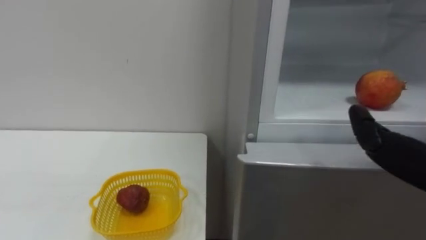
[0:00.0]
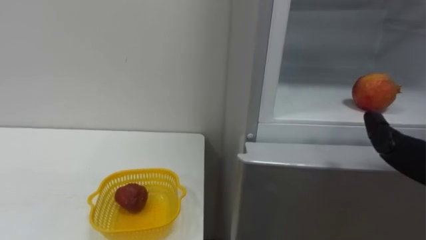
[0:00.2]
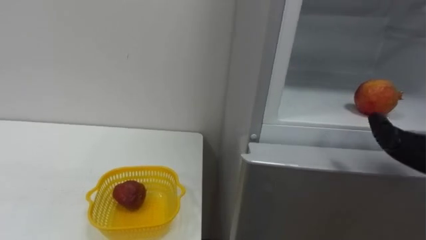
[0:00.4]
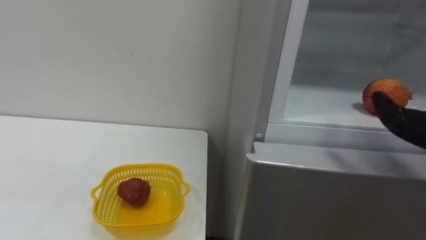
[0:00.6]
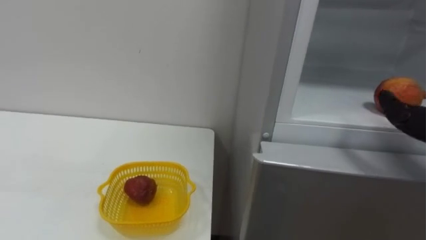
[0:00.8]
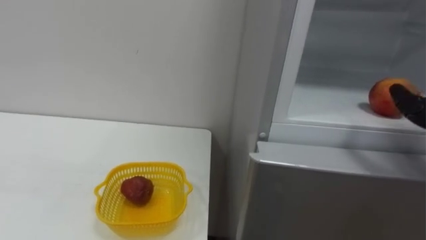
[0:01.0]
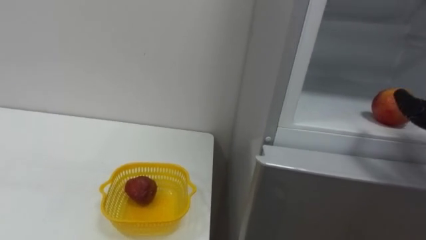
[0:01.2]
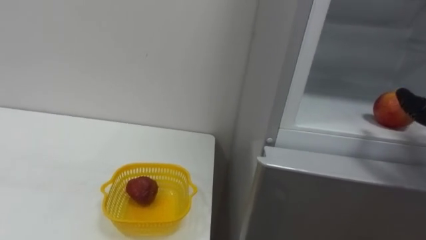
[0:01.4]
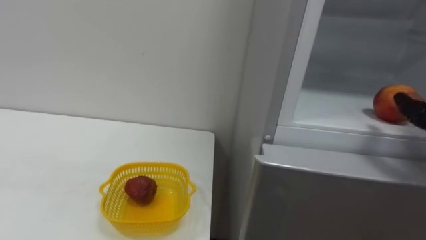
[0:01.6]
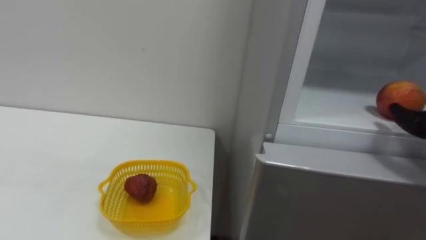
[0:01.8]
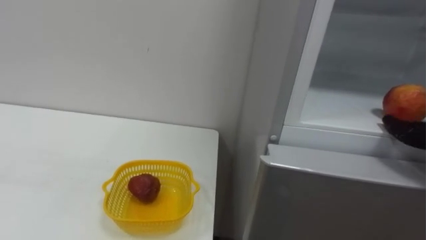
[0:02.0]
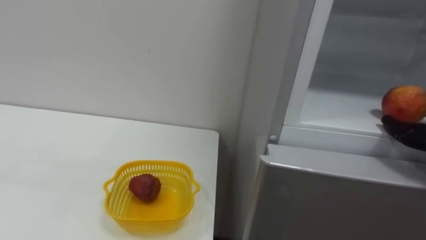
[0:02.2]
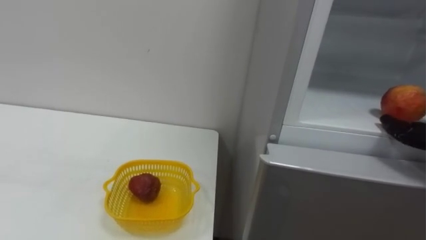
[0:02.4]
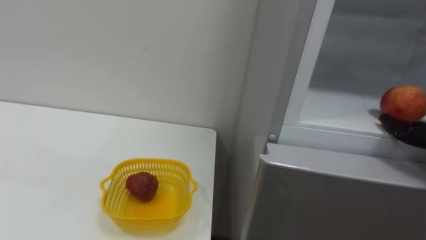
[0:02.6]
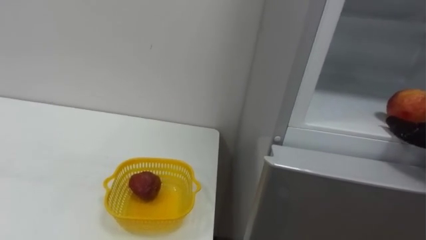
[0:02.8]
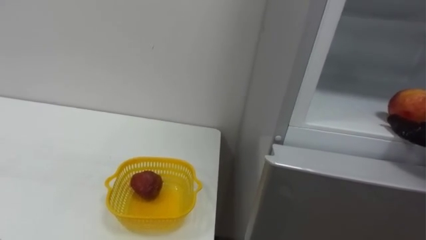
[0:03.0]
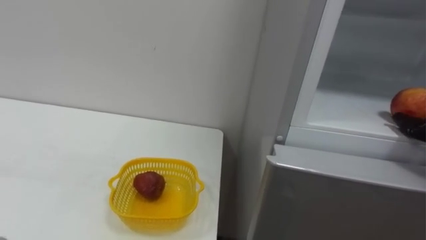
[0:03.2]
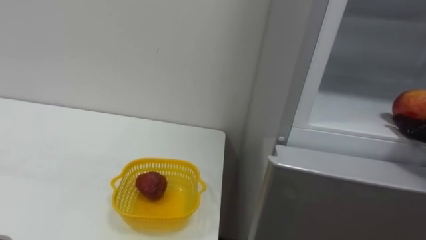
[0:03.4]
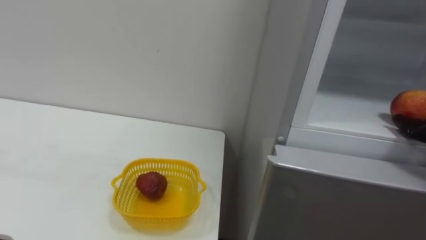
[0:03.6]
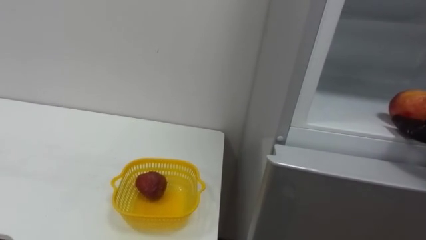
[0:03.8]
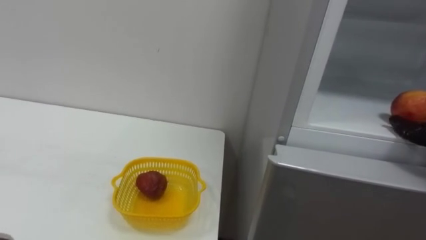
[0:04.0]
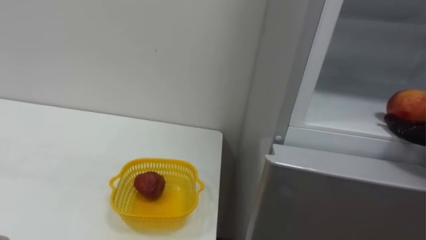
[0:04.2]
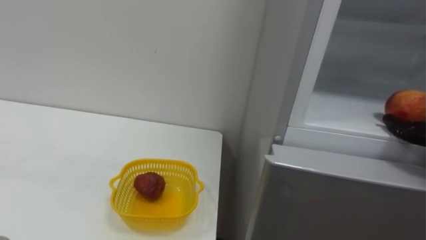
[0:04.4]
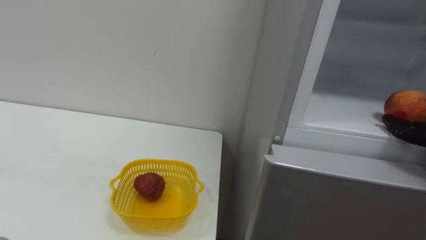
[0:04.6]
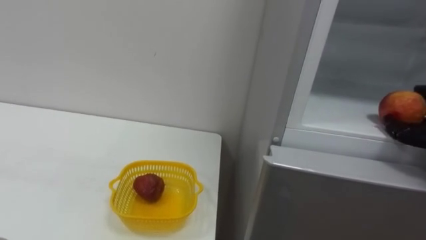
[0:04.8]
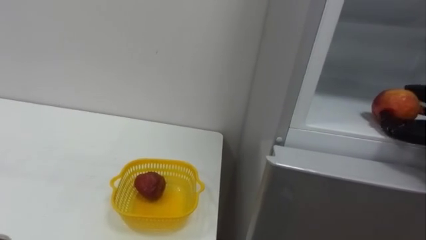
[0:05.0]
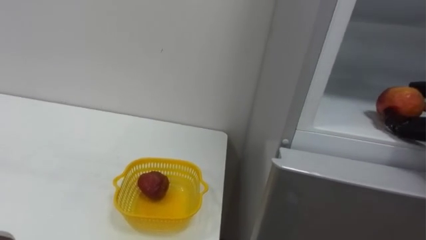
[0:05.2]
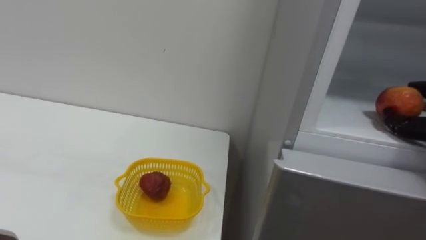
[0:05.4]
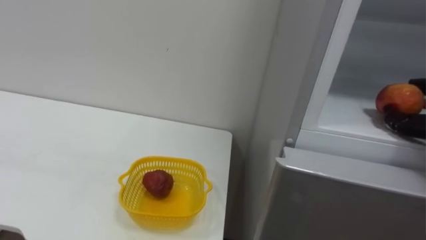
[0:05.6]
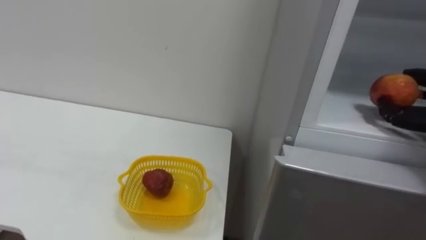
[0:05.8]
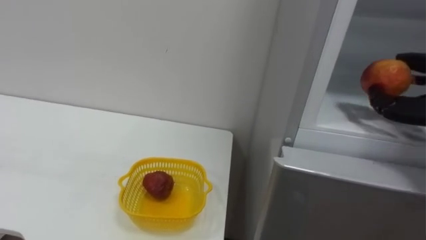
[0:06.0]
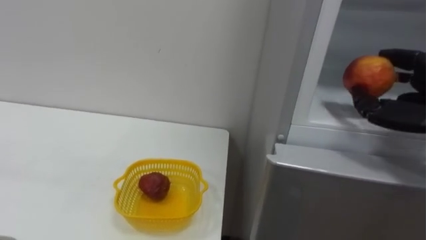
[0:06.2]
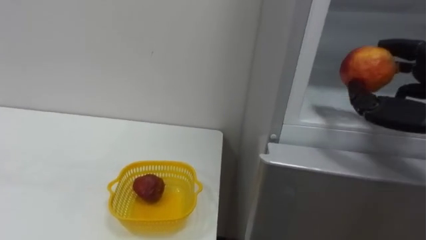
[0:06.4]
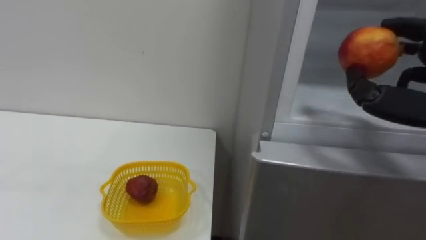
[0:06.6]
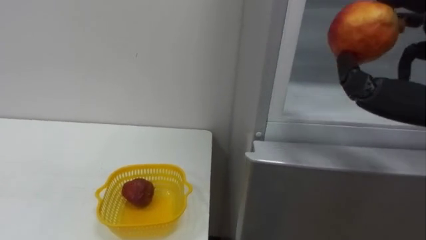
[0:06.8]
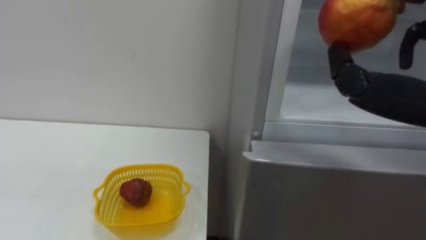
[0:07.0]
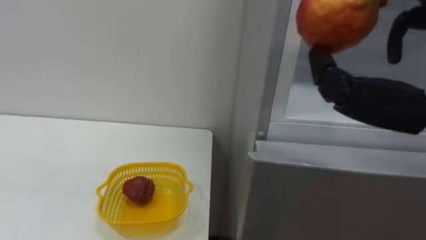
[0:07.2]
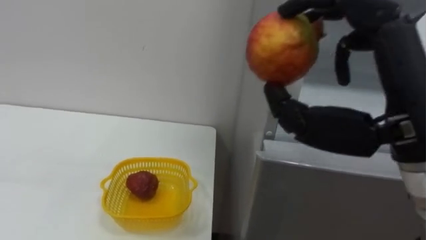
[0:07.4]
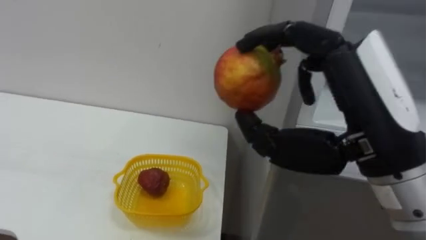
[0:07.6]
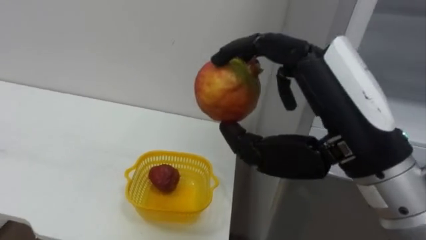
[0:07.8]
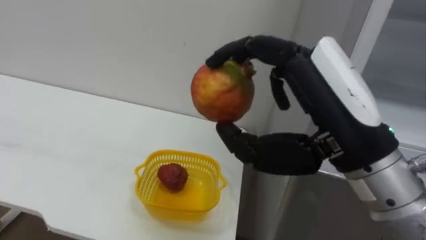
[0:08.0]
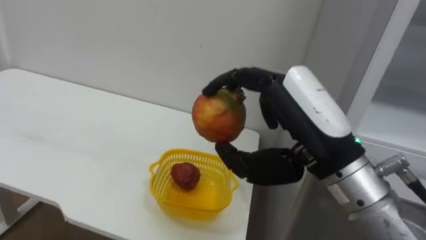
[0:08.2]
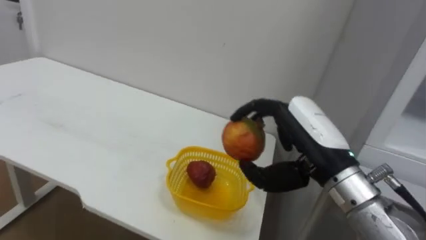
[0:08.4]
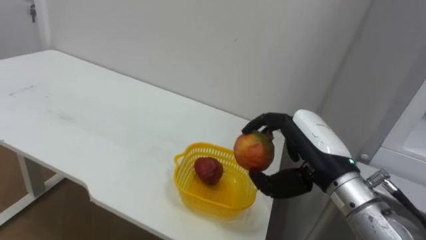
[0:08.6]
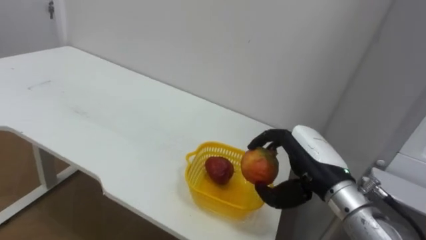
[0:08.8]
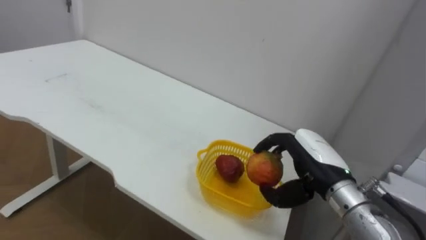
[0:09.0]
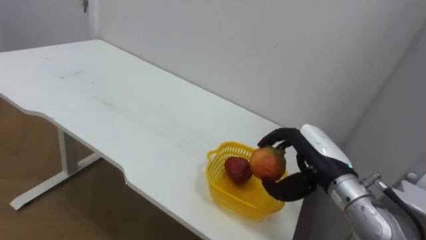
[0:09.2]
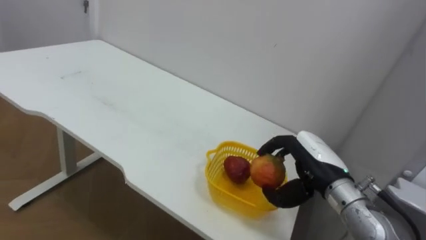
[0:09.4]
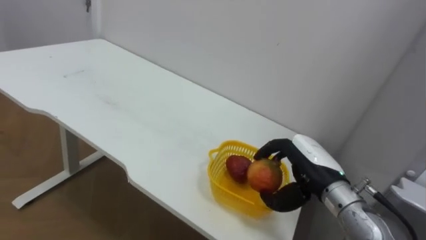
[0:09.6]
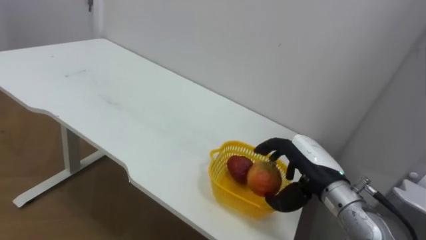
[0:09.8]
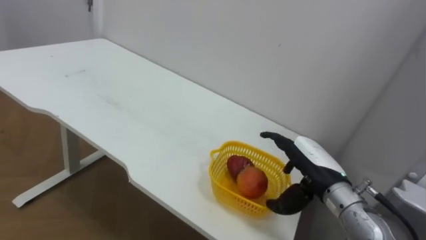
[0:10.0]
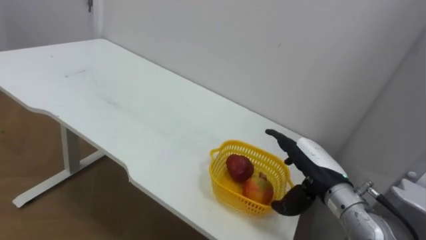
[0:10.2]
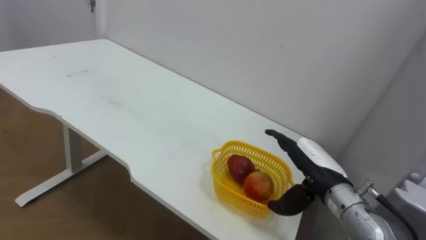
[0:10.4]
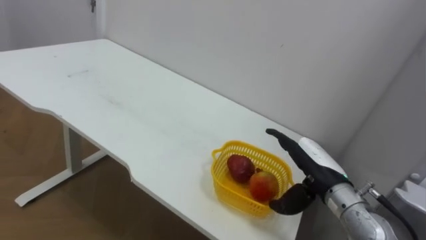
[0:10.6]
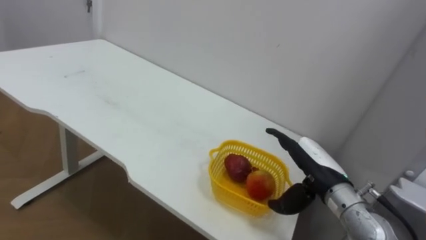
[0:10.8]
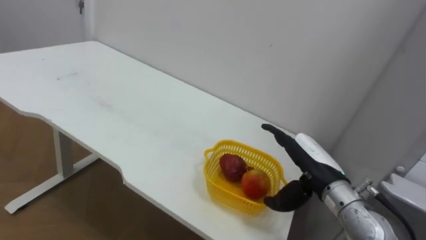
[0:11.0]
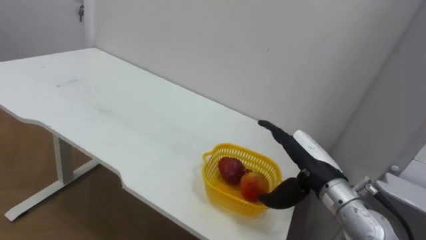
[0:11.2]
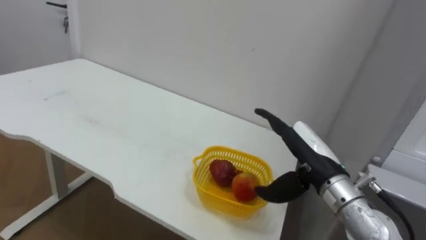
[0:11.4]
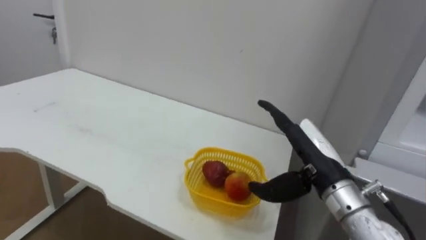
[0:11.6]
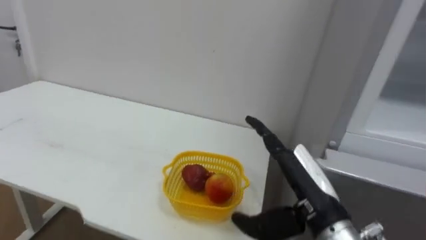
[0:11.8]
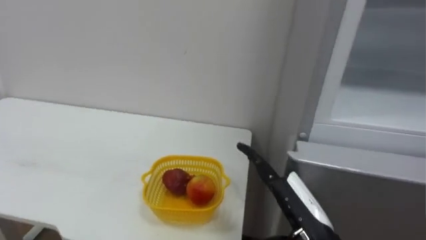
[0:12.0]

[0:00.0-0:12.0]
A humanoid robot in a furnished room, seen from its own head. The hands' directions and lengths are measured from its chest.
Task of the whole recording: Open the refrigerator door, take out the apple and the pomegranate, place them in the fruit basket on the left, and close the refrigerator door.
0:07.6 to 0:09.0: The right hand is displaced downward and forward by some 20 cm.
0:09.0 to 0:10.4: The right hand opens.
0:10.4 to 0:12.0: The right hand is displaced backward by roughly 10 cm.

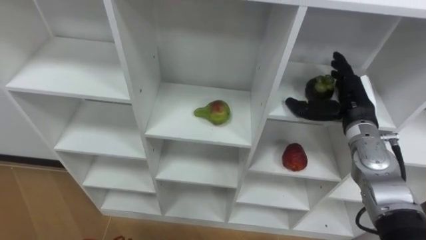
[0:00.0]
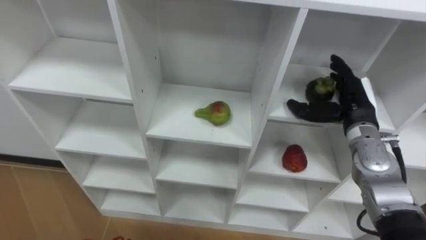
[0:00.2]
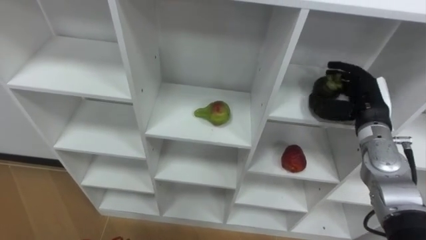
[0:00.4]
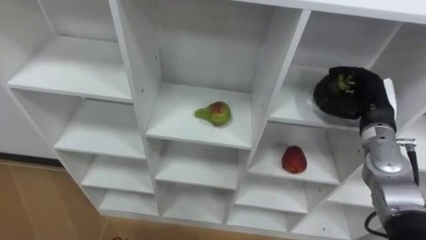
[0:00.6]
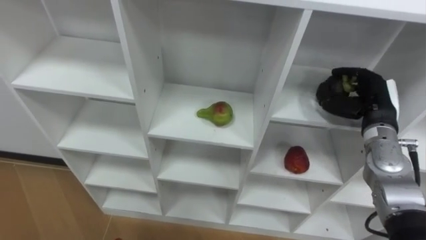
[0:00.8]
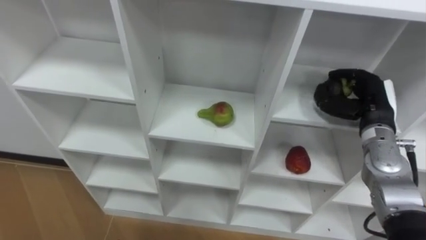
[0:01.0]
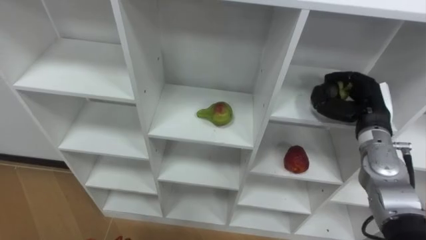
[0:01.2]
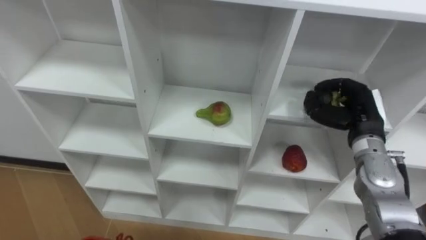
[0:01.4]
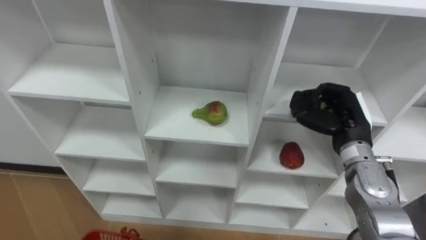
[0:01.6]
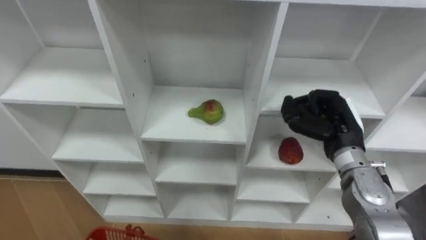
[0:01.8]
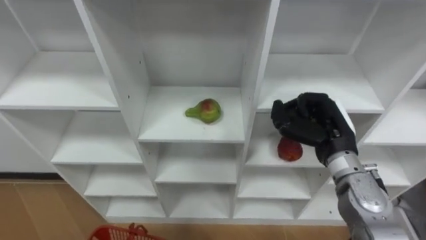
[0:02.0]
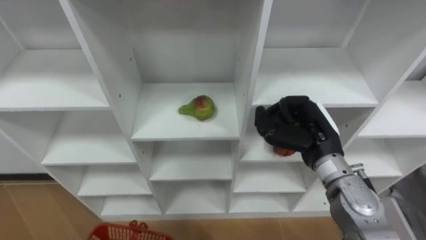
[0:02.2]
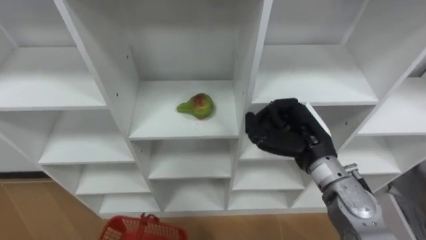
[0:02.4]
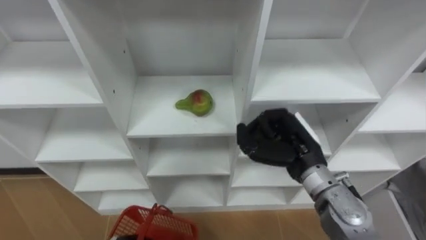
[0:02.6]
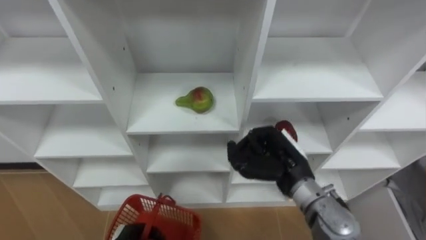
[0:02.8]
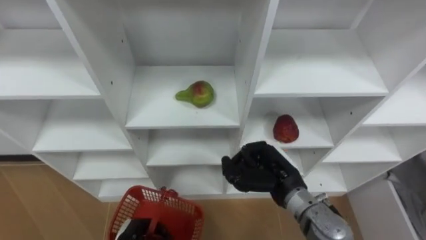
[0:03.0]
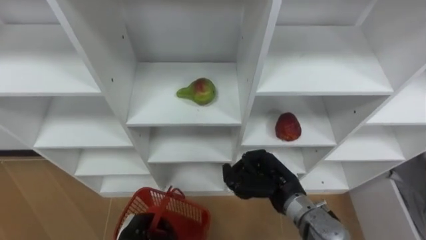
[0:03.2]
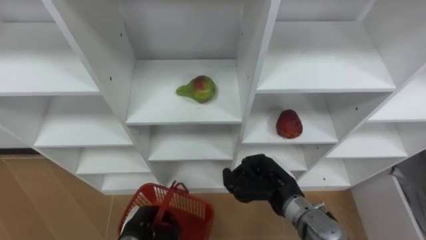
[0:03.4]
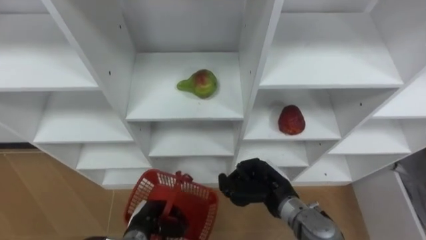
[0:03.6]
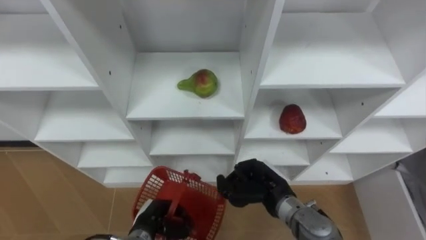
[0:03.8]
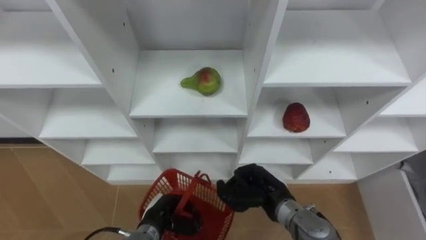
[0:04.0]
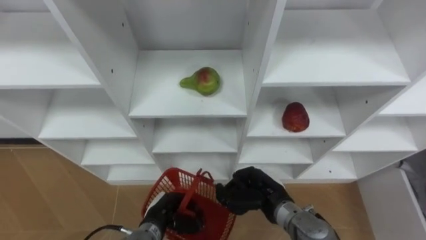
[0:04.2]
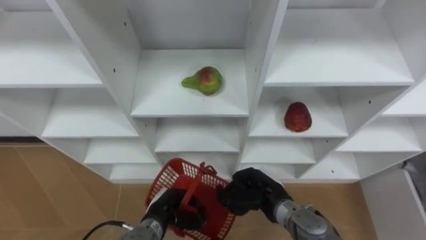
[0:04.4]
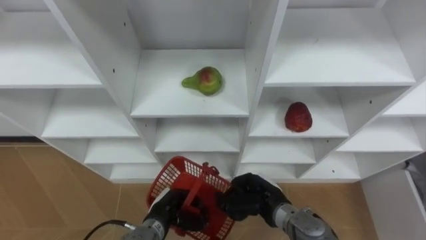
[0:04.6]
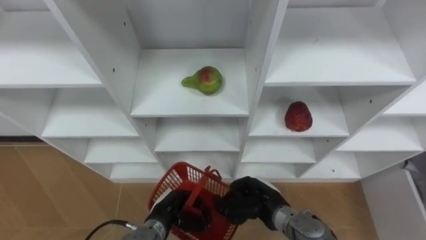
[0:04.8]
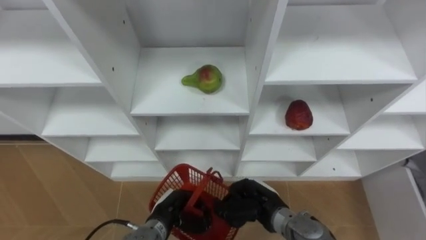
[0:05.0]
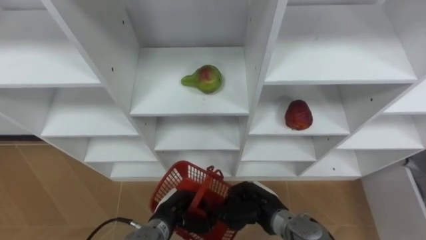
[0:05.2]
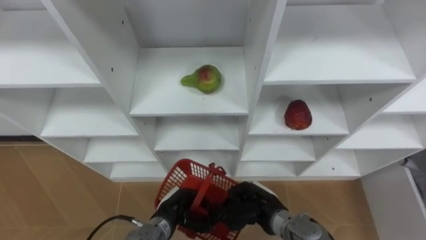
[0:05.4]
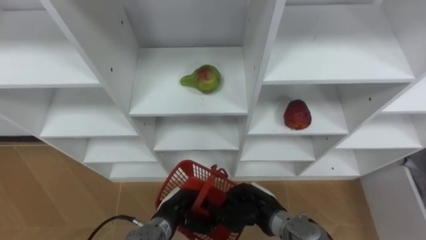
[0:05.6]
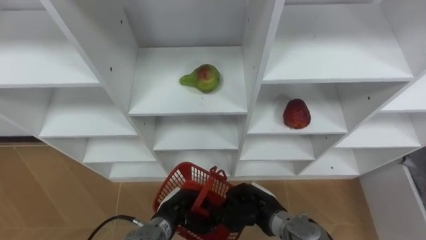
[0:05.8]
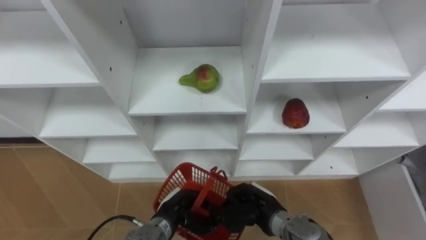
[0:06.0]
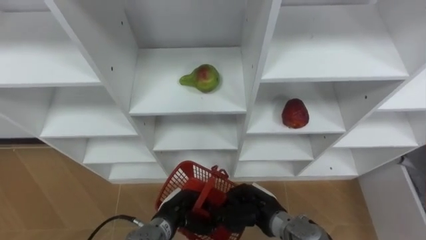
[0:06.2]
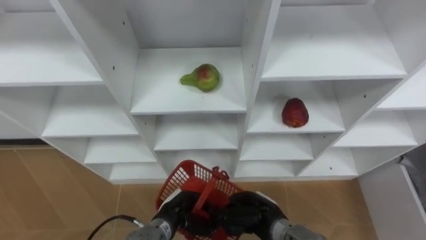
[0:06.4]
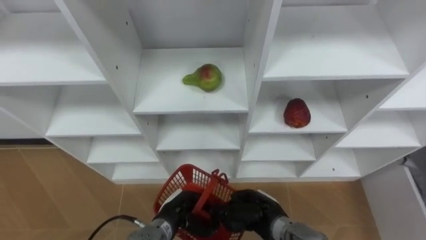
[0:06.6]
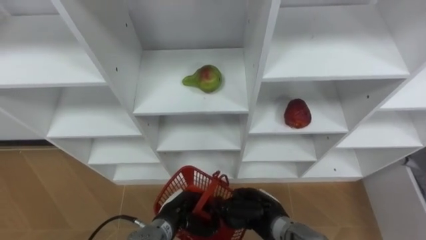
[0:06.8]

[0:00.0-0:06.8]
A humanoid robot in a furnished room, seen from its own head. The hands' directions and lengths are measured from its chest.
Task of the whole recording: Hold the basket and collect the fruits from 3 different cells of the closet into it.
0:00.0 to 0:01.4: The right hand closes.
0:01.4 to 0:02.8: The right hand goes about 15 cm to the left and backward.
0:02.8 to 0:04.0: The right hand heads downward, covering about 10 cm.
0:05.4 to 0:06.8: The hands move only a little.
